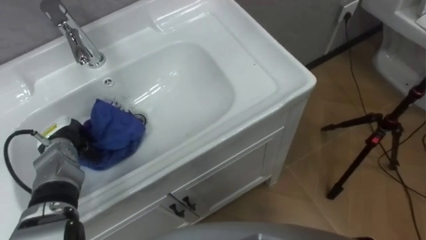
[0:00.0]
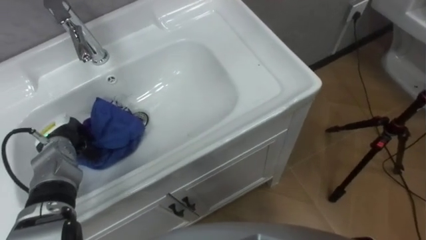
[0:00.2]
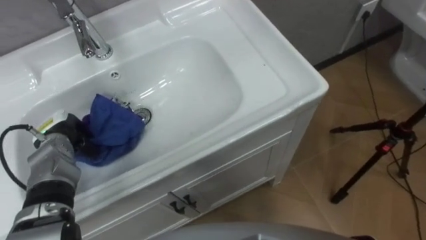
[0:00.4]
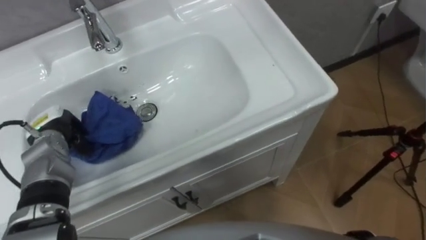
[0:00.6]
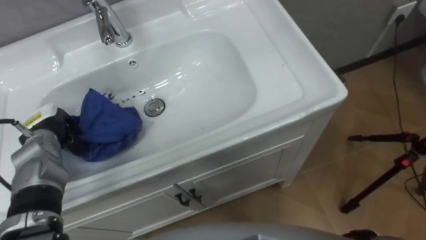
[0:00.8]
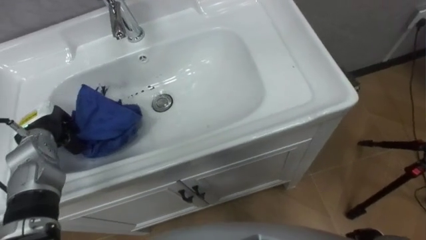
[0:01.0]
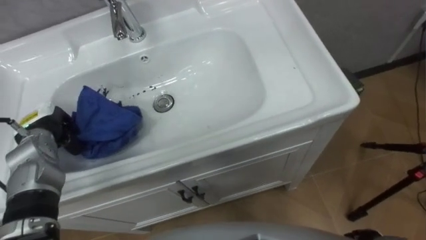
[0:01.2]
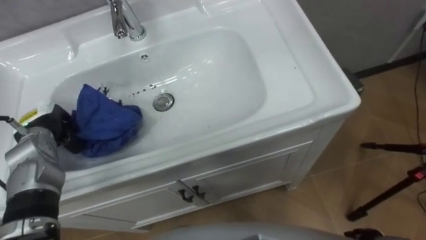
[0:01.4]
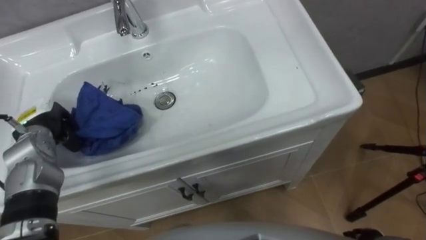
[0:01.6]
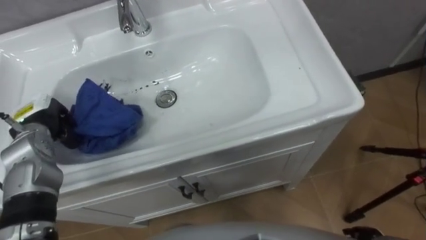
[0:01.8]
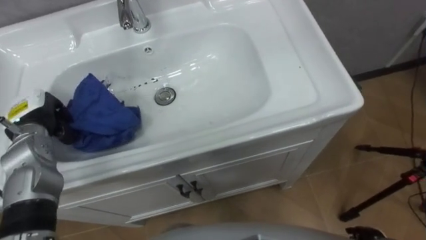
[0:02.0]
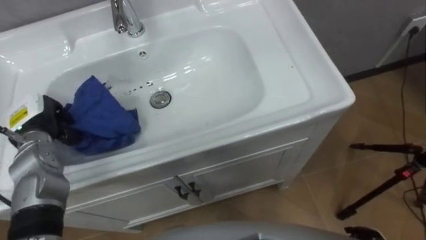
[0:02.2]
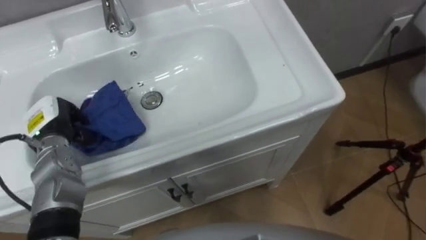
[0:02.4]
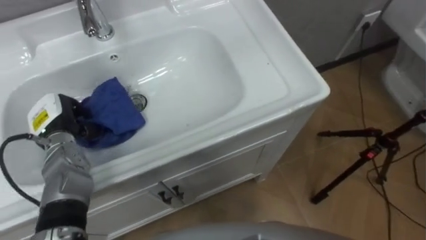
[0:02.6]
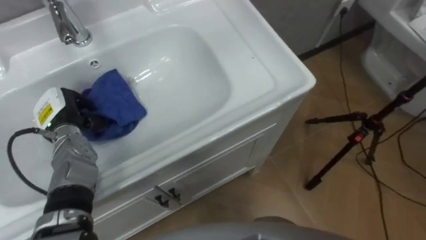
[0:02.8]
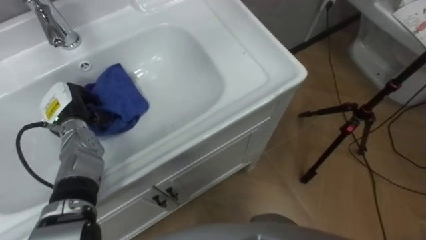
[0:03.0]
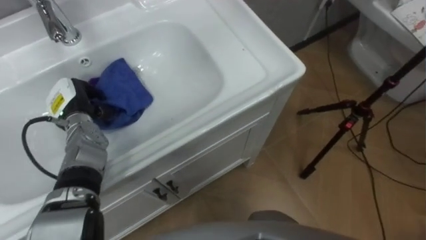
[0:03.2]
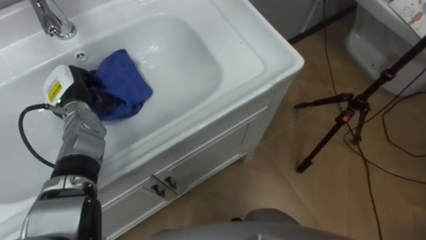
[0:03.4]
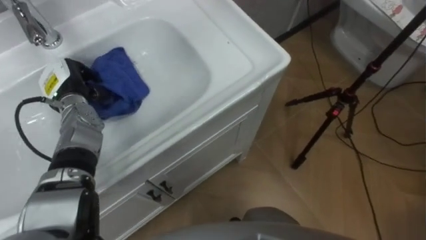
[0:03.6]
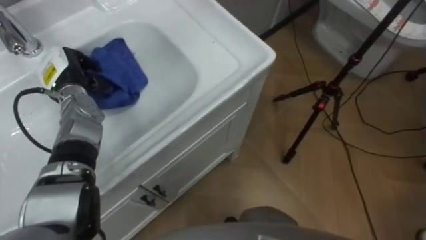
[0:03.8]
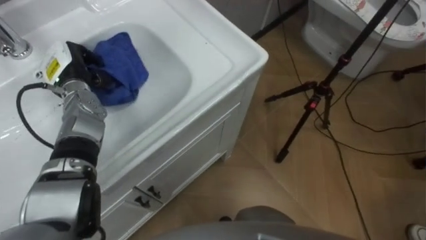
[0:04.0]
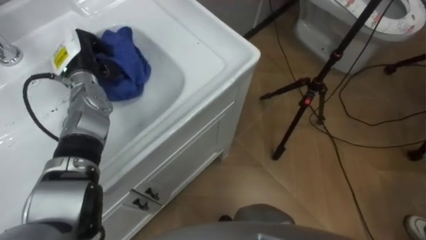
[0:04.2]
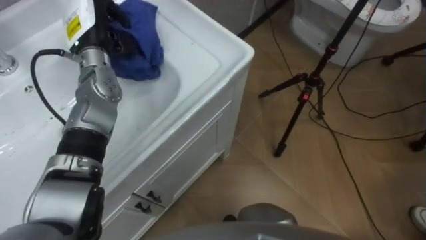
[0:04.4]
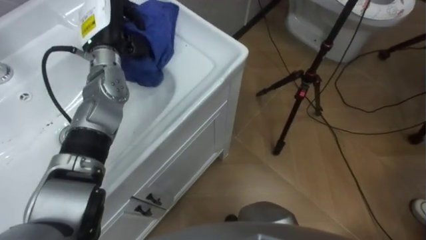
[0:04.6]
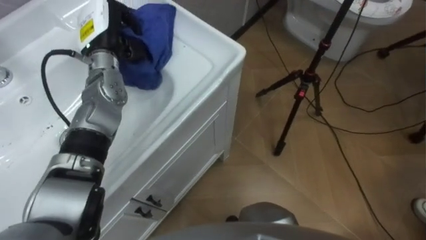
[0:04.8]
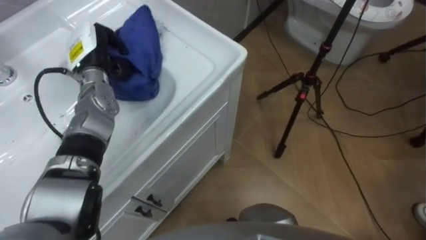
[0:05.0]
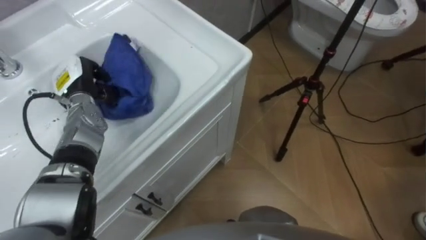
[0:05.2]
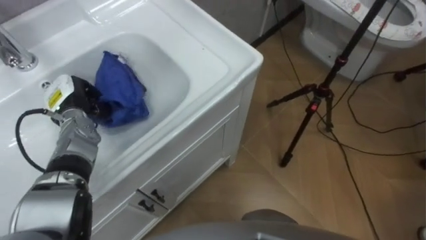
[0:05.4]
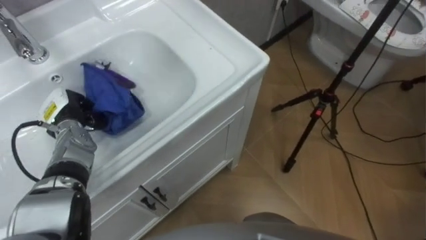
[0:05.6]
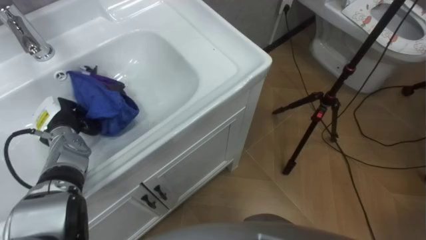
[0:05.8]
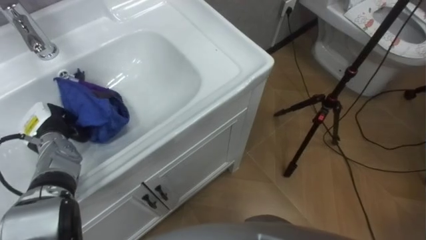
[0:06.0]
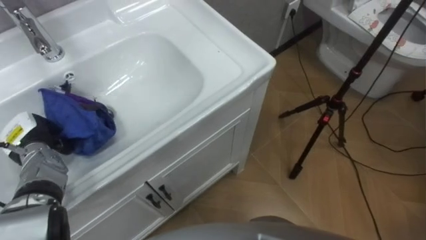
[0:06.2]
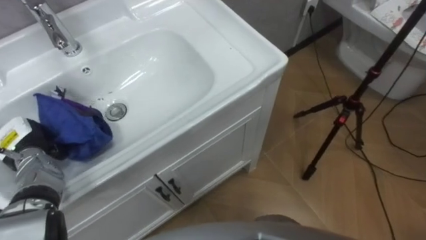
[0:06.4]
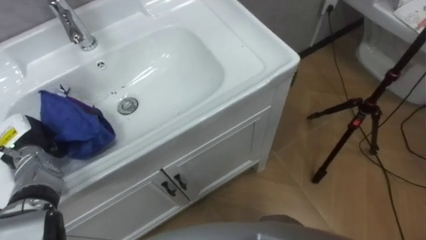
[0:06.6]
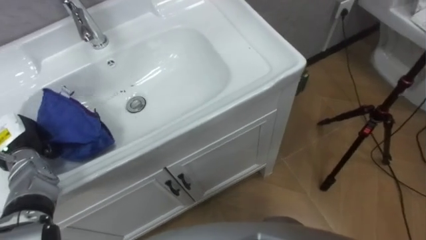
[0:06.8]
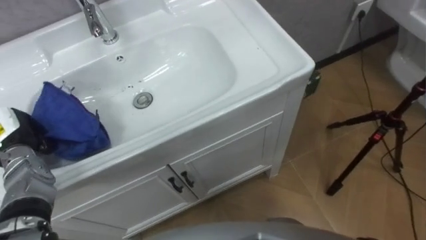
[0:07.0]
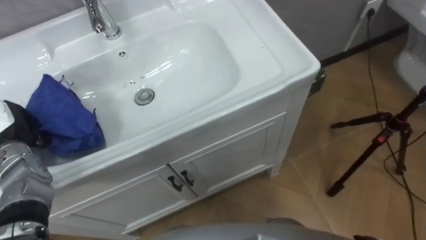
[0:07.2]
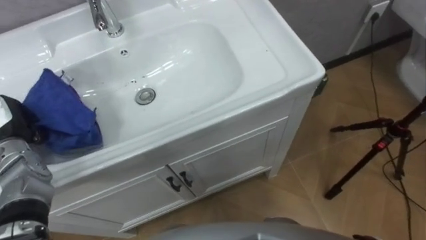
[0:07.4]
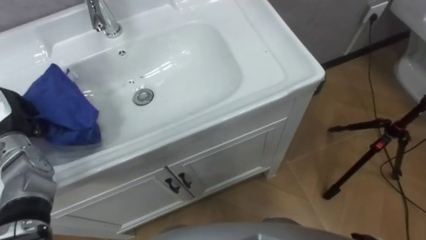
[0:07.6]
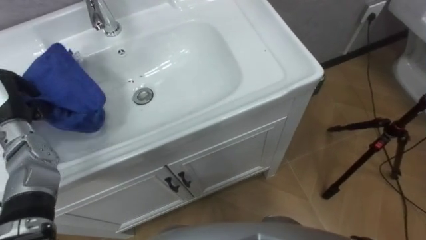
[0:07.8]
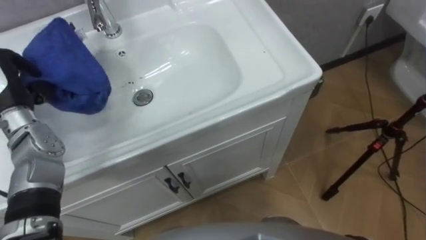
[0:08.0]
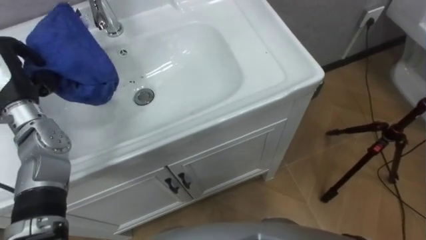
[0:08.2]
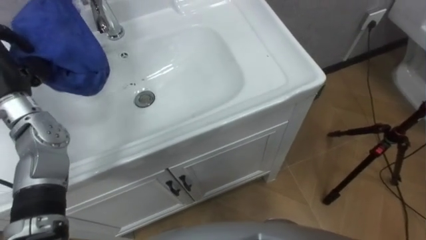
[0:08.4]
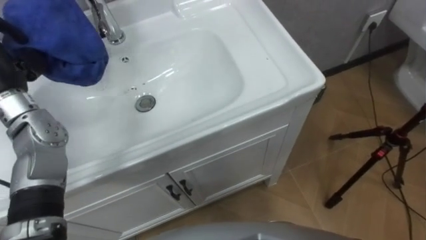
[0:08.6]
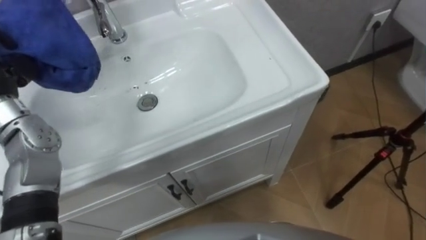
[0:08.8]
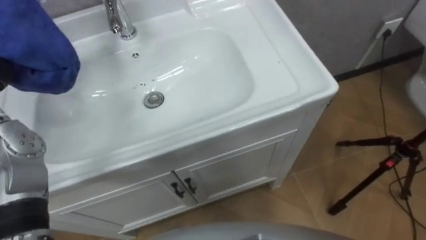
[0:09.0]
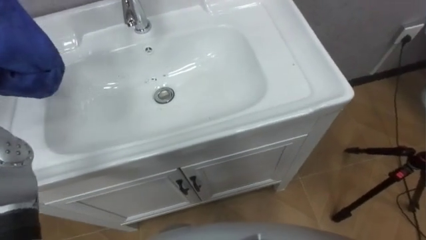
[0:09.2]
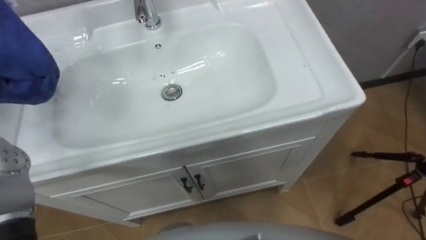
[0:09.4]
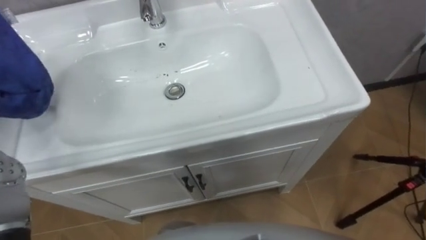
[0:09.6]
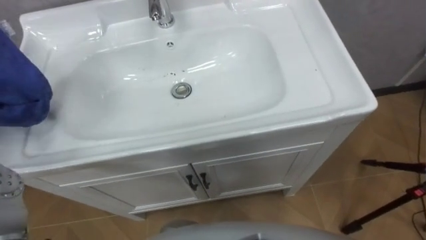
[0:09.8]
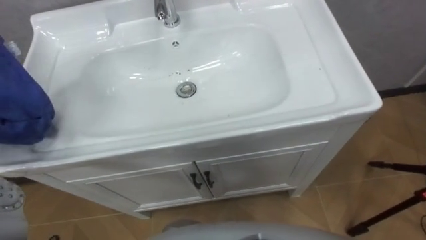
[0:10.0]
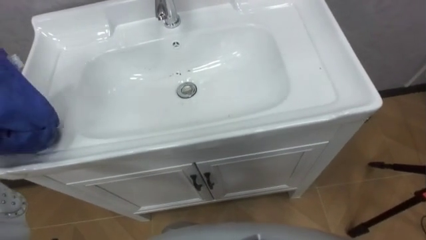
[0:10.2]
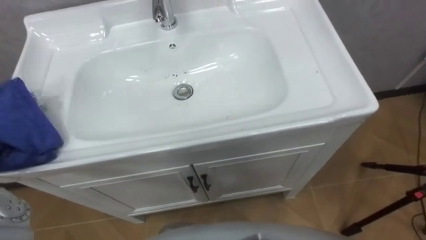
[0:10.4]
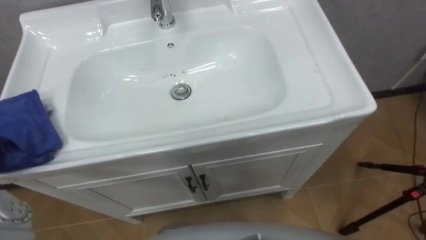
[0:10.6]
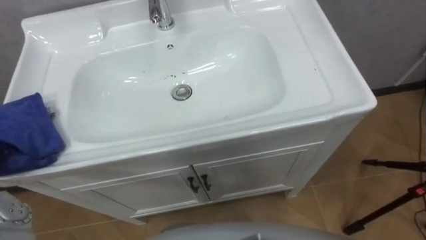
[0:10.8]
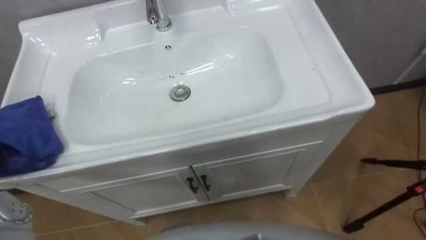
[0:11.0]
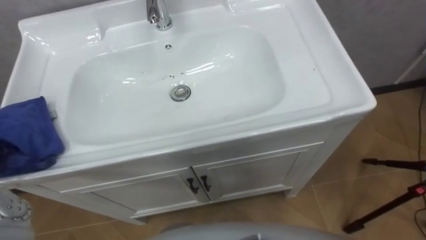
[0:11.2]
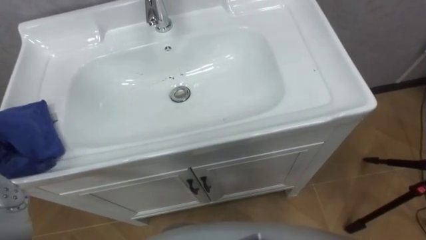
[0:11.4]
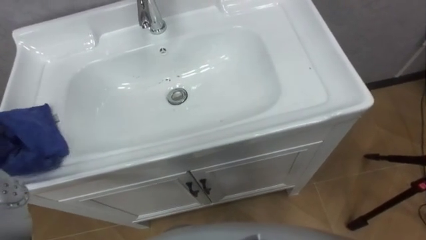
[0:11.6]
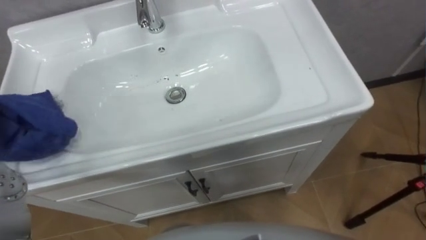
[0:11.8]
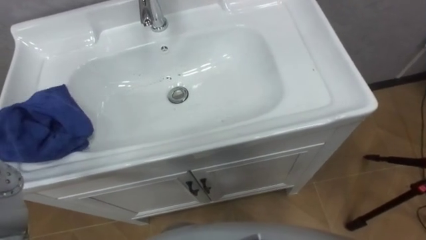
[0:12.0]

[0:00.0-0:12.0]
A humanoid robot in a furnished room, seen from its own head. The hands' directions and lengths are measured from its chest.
Task of the whole recording: Use the cloth on the right to wipe away the black stain in the sink.
0:00.0 to 0:01.6: The left hand is displaced upward by some 5 cm.
0:01.6 to 0:03.0: The left hand changes place by some 5 cm.
0:03.0 to 0:04.4: The left hand goes approximately 20 cm upward, forward and to the right.
0:04.4 to 0:06.0: The left hand goes roughly 25 cm downward, to the left and backward.
